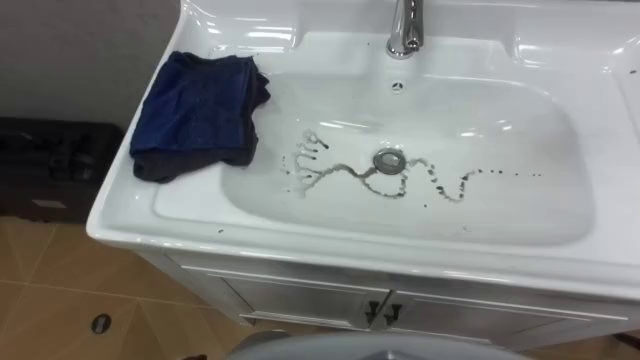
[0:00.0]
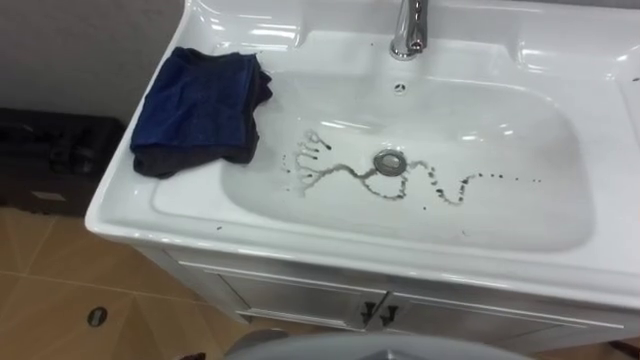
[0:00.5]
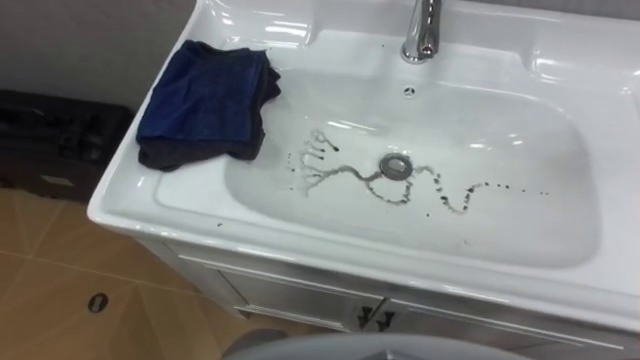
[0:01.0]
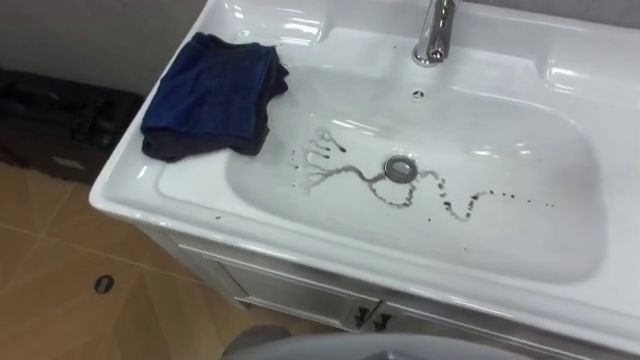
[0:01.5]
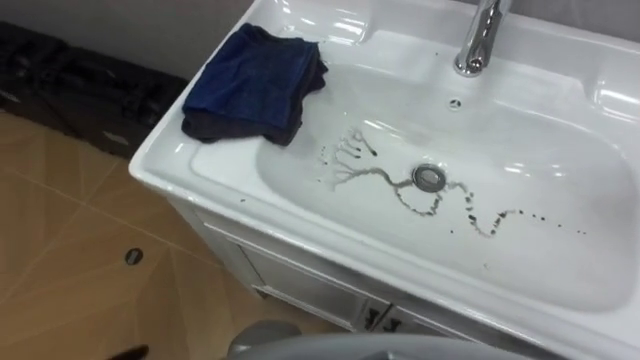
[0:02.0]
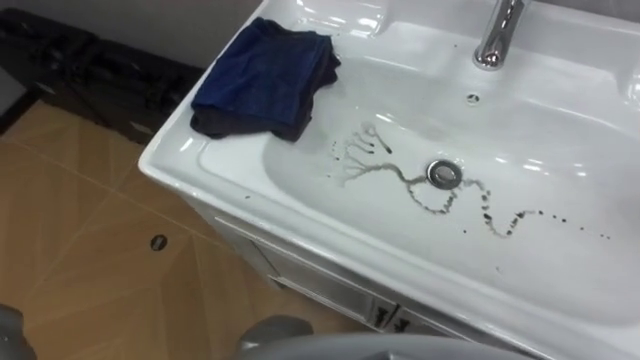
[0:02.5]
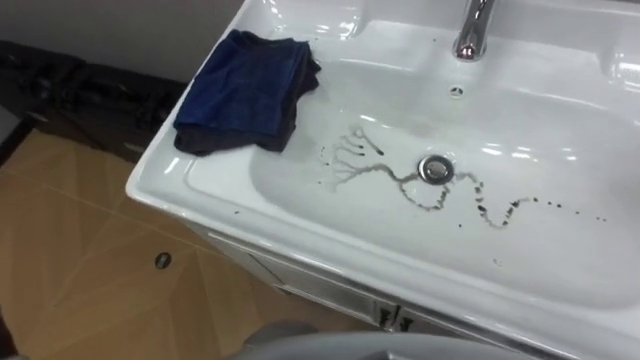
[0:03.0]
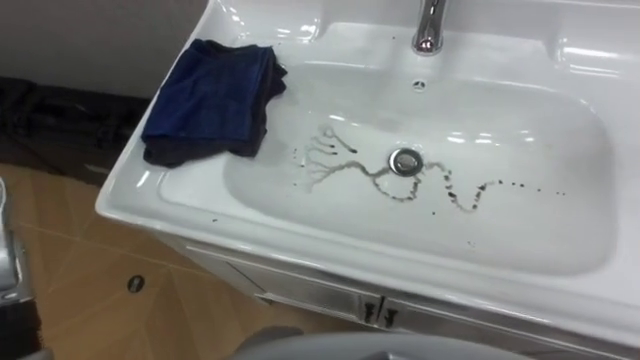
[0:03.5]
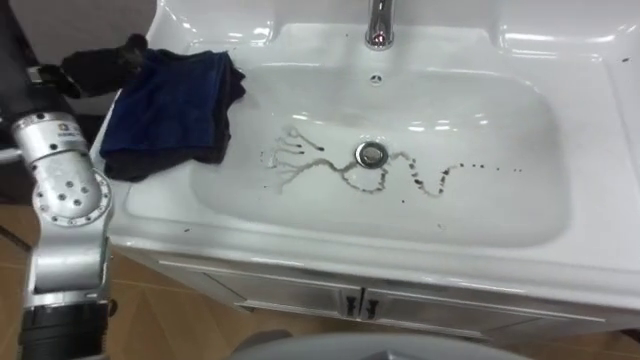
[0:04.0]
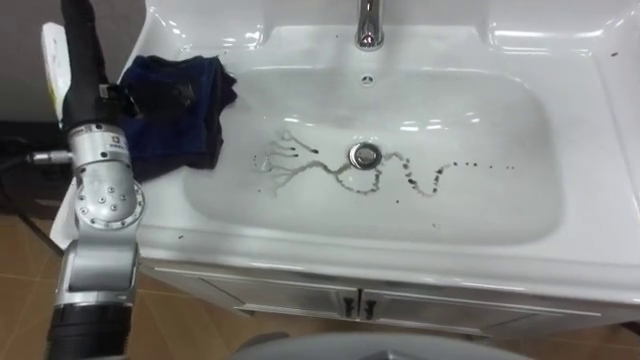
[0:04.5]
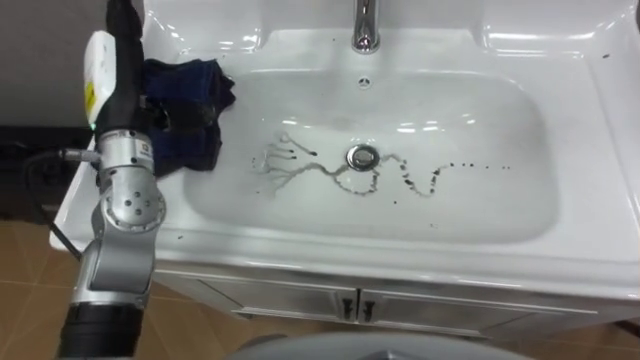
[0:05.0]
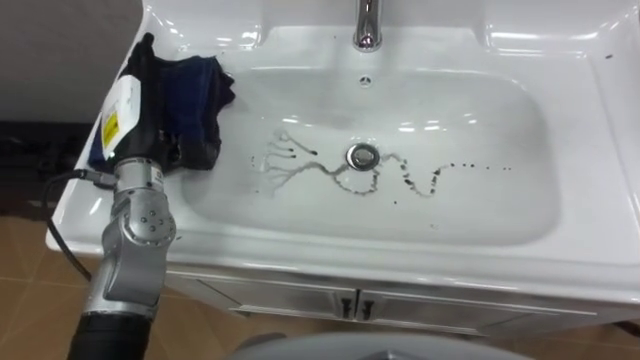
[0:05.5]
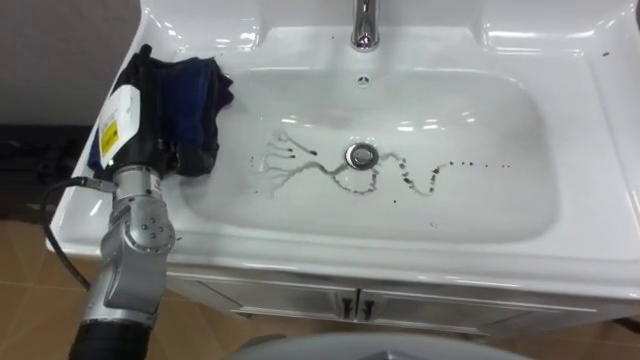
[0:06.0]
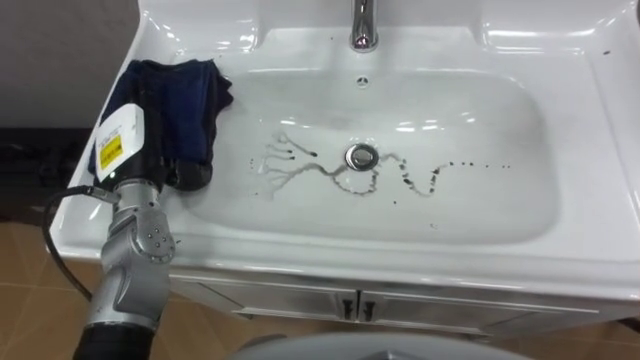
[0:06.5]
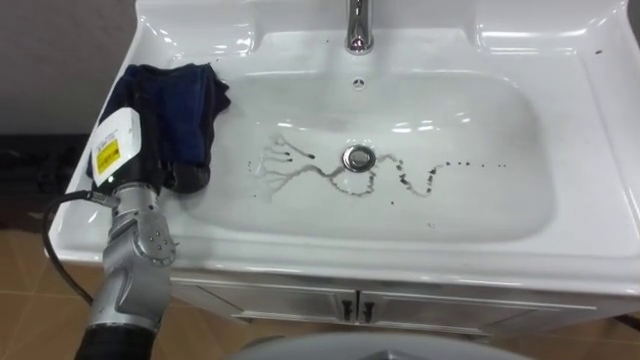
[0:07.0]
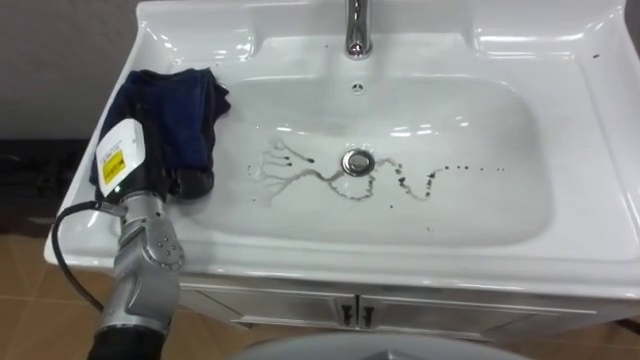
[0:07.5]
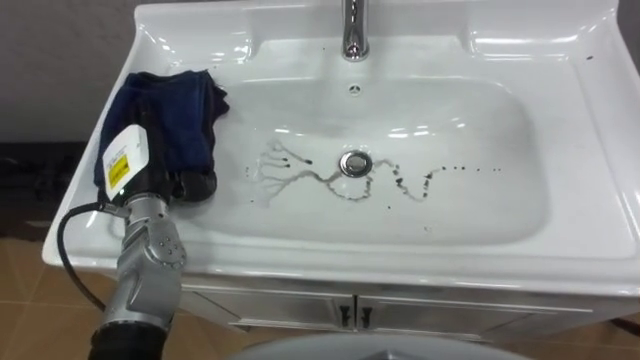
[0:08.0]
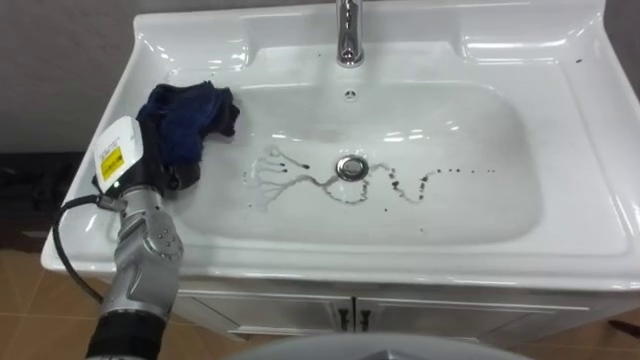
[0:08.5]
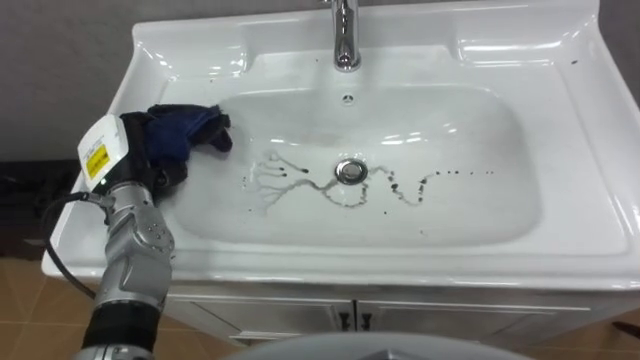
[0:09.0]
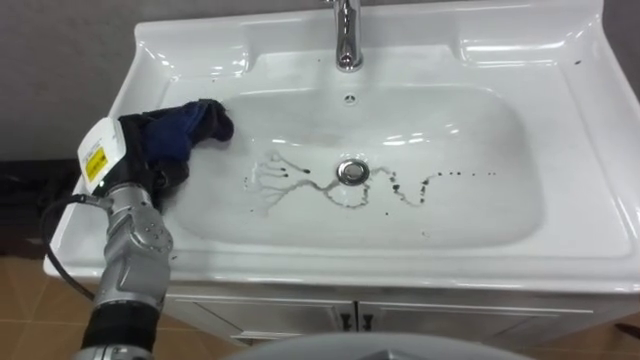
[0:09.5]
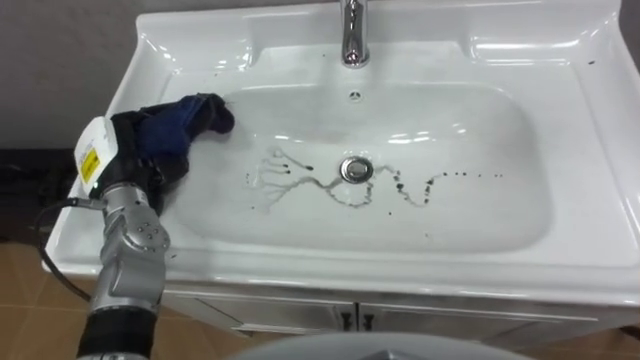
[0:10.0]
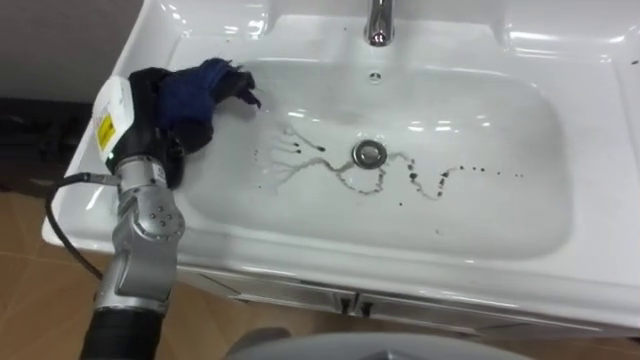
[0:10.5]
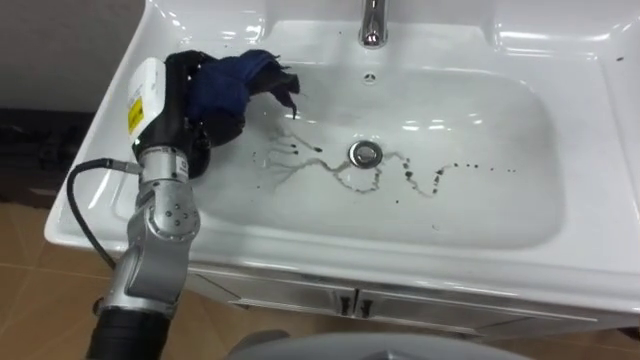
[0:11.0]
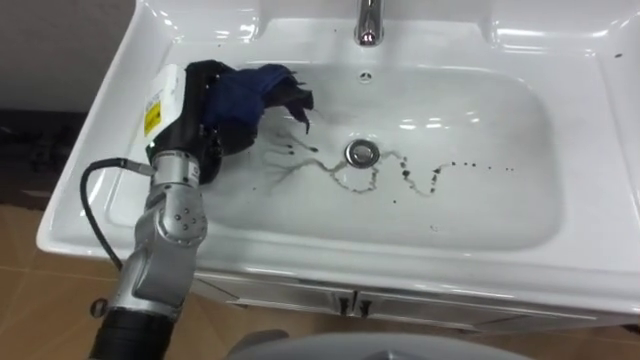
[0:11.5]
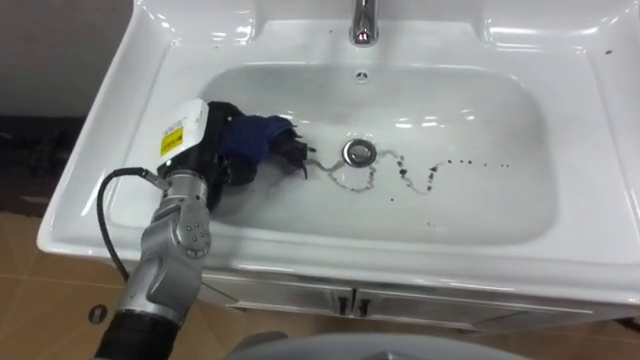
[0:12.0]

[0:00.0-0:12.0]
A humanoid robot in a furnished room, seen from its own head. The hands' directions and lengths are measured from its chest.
Task of the whole recording: Use the cloth on the right to wipe away the black stain in the sink.
0:04.0 to 0:06.0: The left hand moves downward and to the right, some 15 cm.
0:06.0 to 0:08.0: The left hand shifts roughly 5 cm downward.
0:08.0 to 0:10.0: The left hand closes its fingers.
0:10.0 to 0:12.0: The left hand moves to the right, some 10 cm.

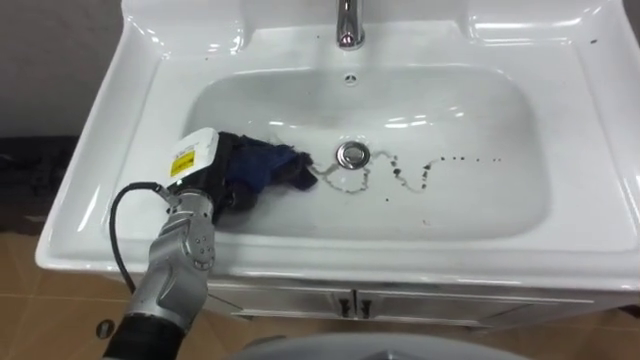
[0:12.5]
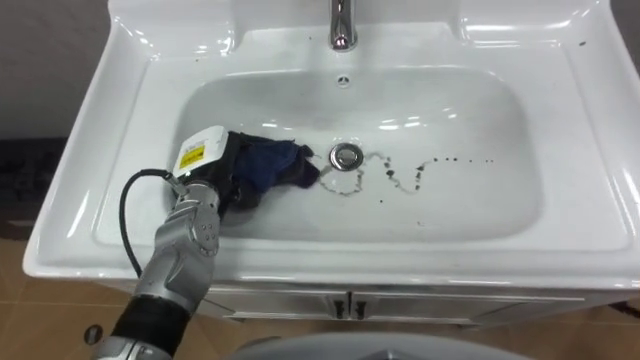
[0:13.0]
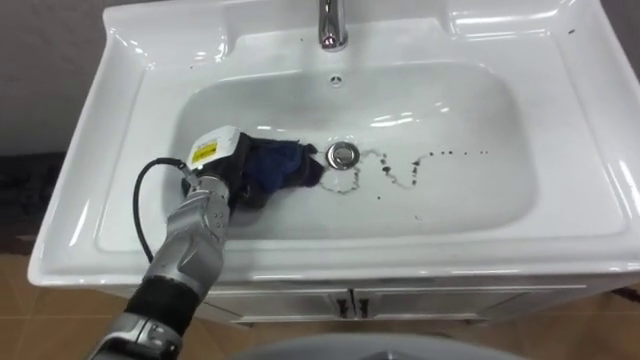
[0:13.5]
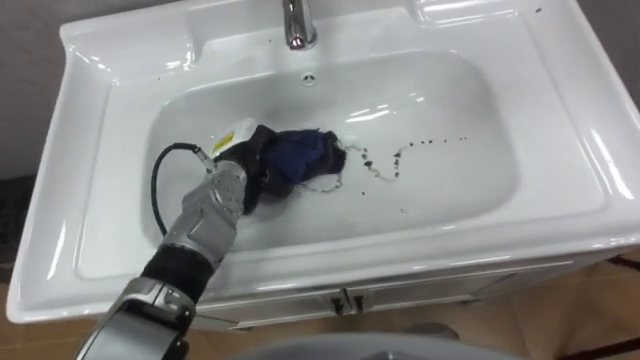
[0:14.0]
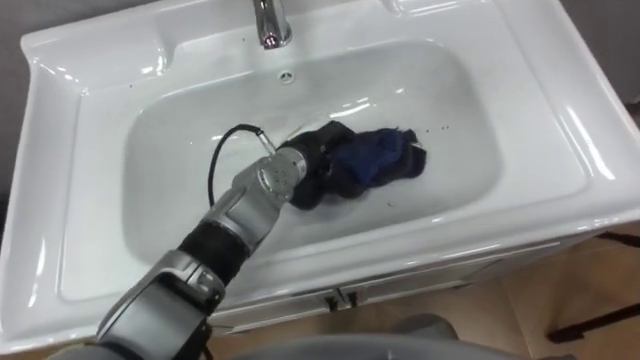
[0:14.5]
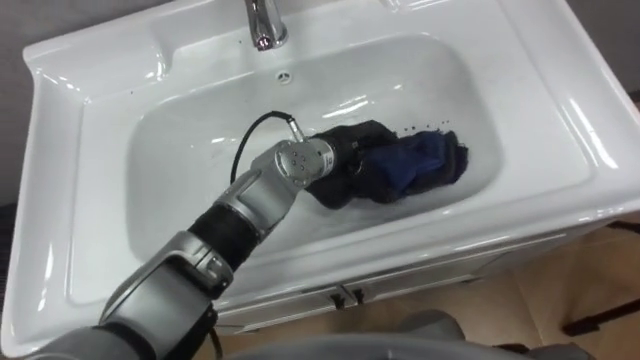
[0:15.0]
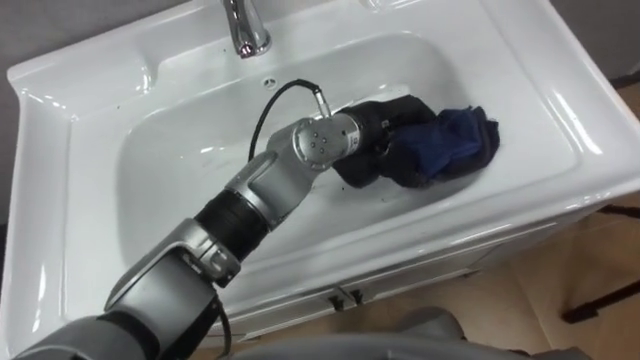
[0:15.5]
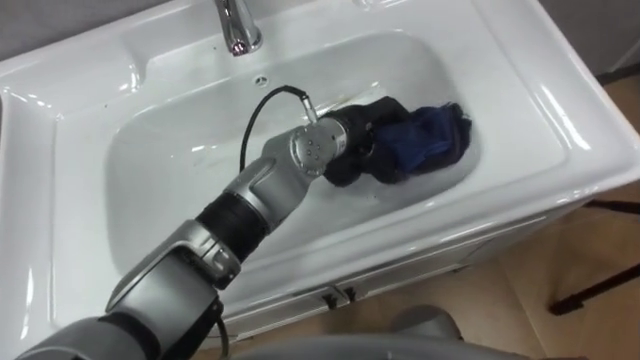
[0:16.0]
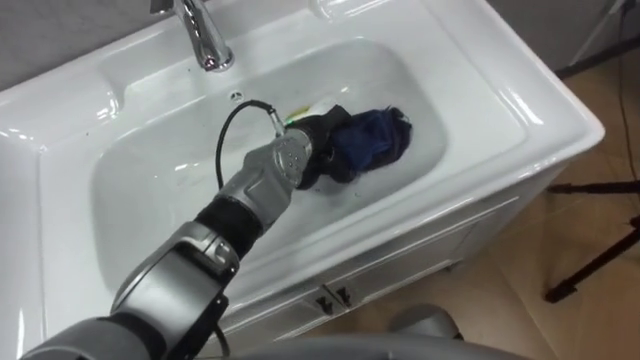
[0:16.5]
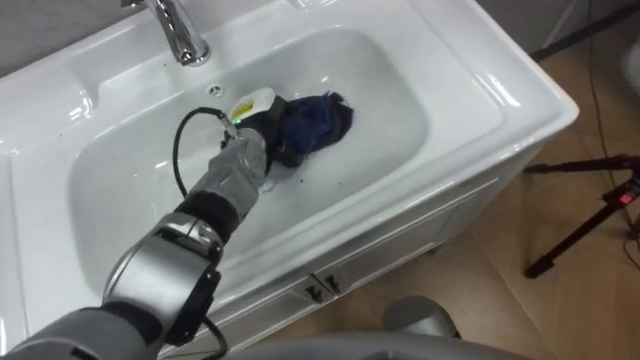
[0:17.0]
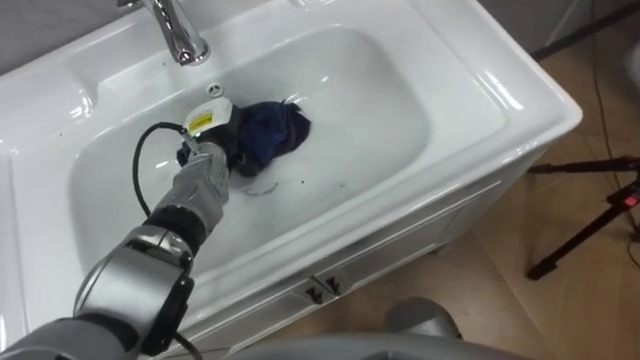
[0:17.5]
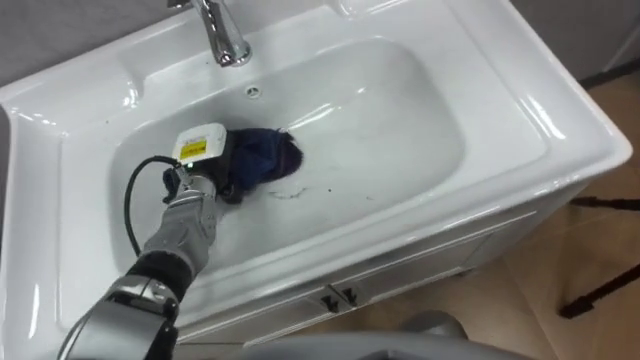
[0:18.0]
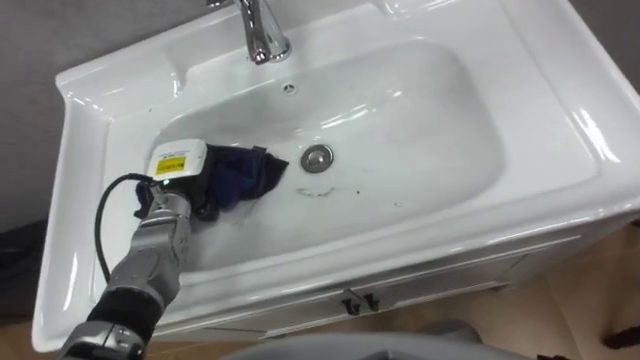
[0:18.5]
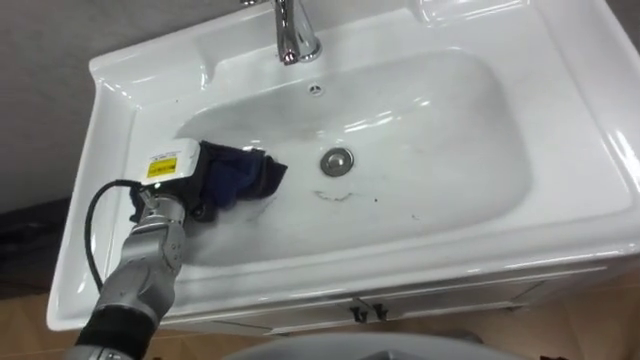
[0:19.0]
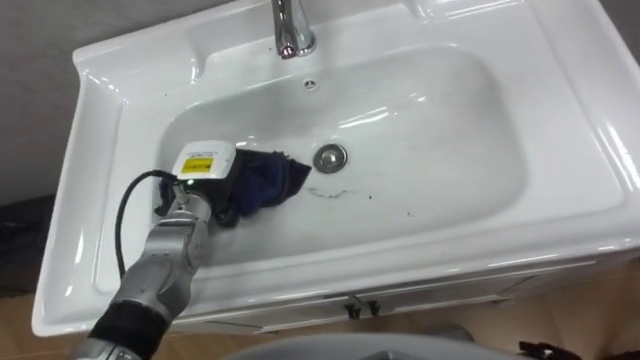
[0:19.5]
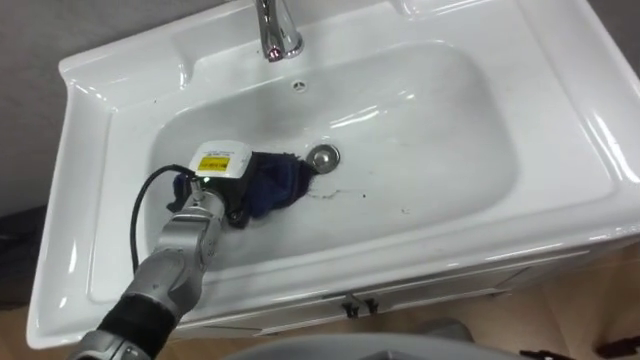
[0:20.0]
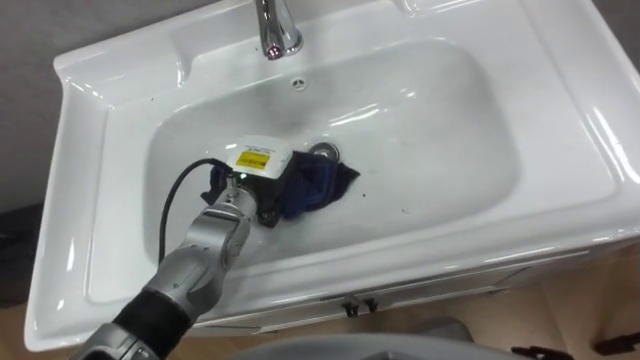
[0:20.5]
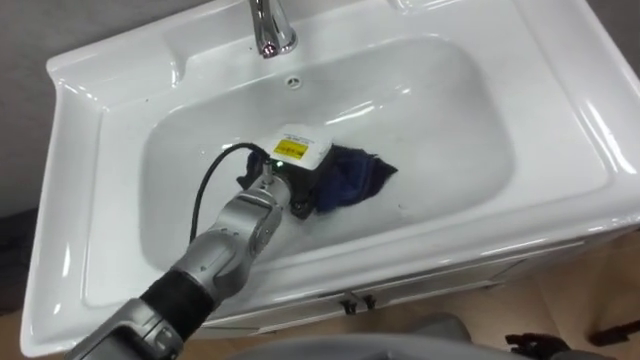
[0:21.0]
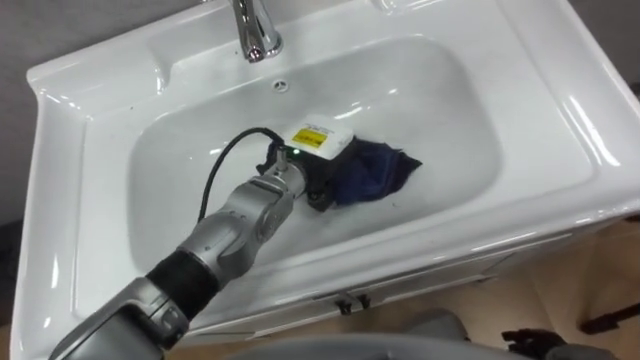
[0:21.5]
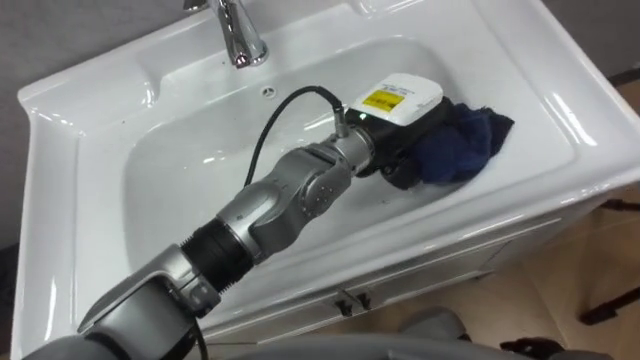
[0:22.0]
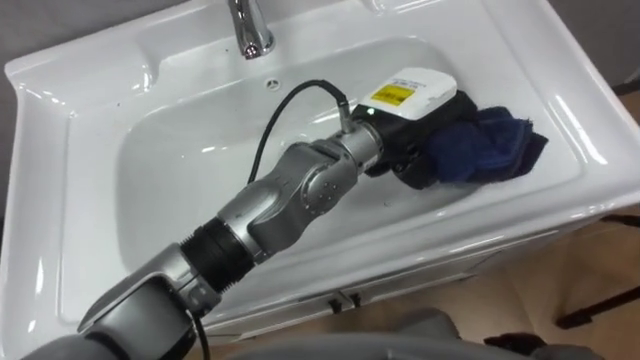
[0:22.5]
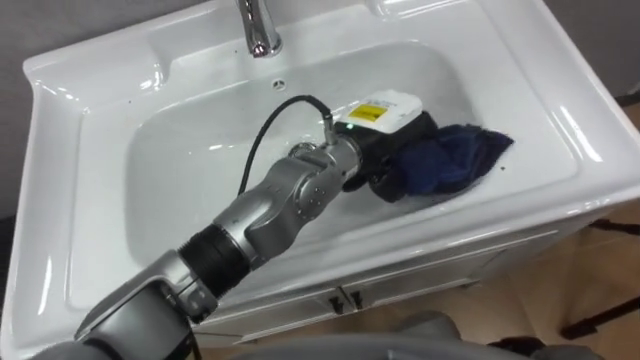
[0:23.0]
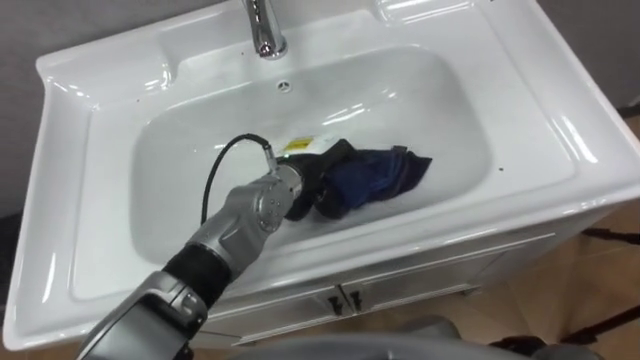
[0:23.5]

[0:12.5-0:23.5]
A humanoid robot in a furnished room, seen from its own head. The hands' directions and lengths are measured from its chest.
Task of the whole recording: Use the cloth on the right to wipe away the black stain in the sink.
0:12.5 to 0:14.5: The left hand moves to the right, some 15 cm.
0:14.5 to 0:16.0: The left hand moves to the right and upward, approximately 10 cm.
0:16.0 to 0:18.0: The left hand is displaced to the left and downward by approximately 25 cm.
0:20.0 to 0:21.5: The left hand travels to the right by approximately 15 cm.
0:21.5 to 0:23.5: The left hand reaches approximately 10 cm upward, then returns.